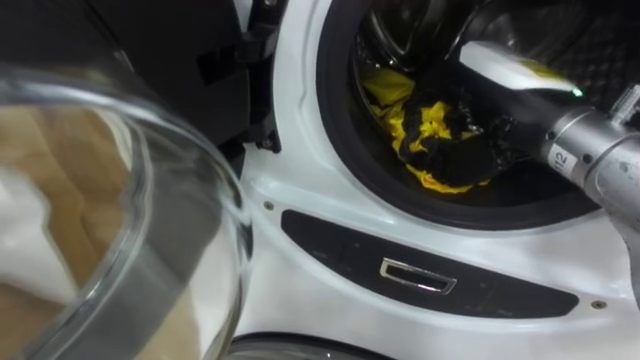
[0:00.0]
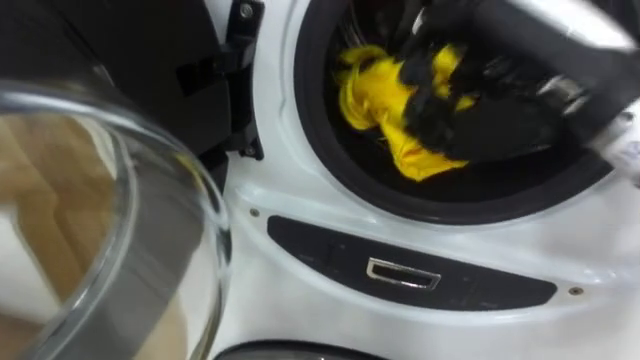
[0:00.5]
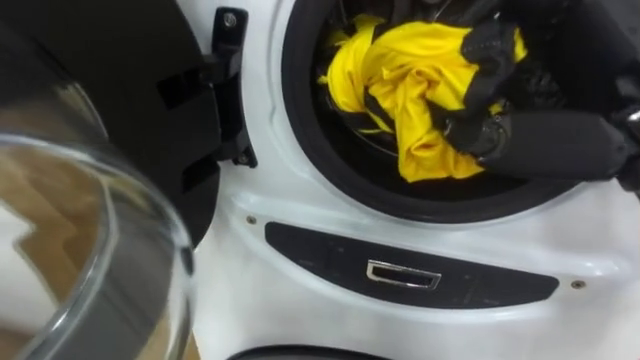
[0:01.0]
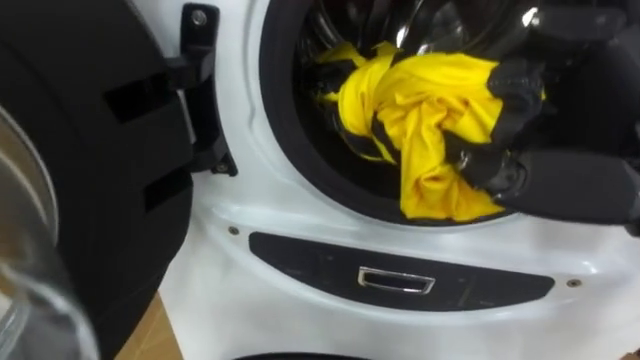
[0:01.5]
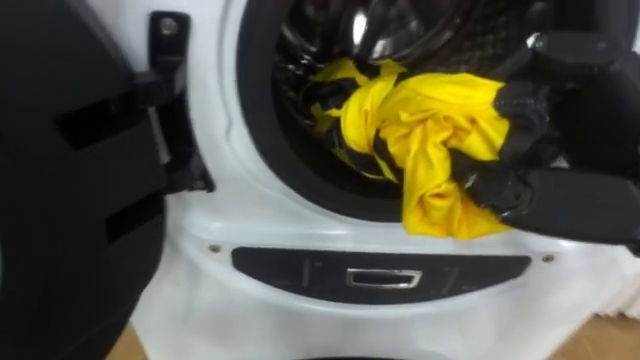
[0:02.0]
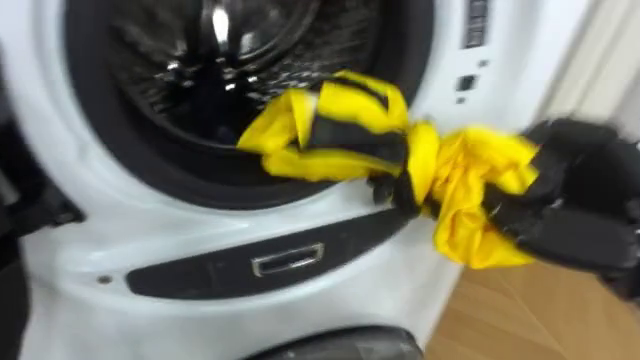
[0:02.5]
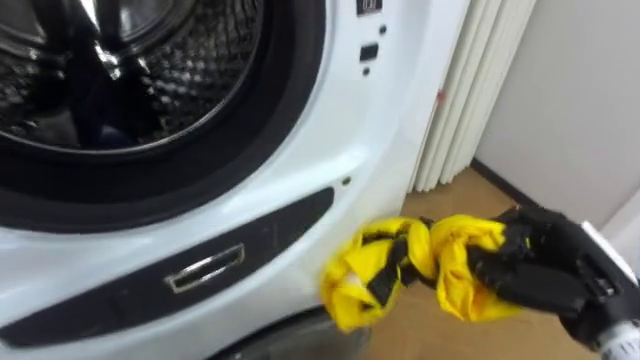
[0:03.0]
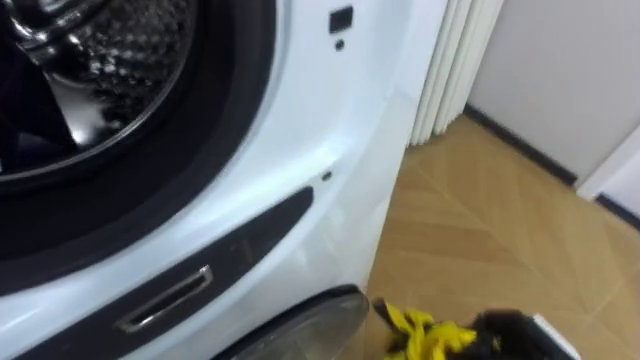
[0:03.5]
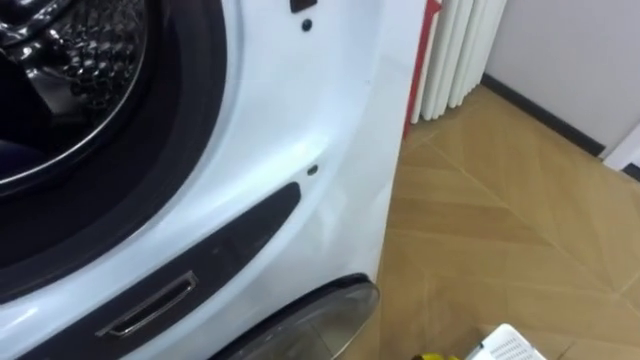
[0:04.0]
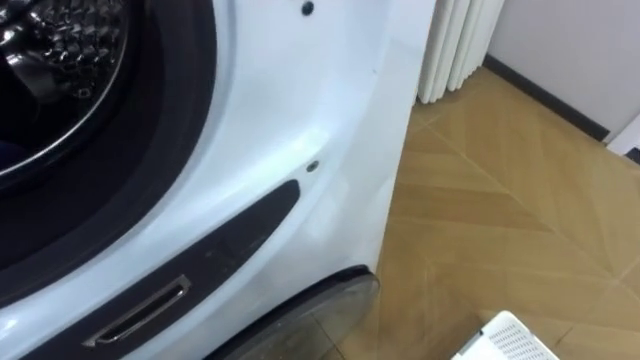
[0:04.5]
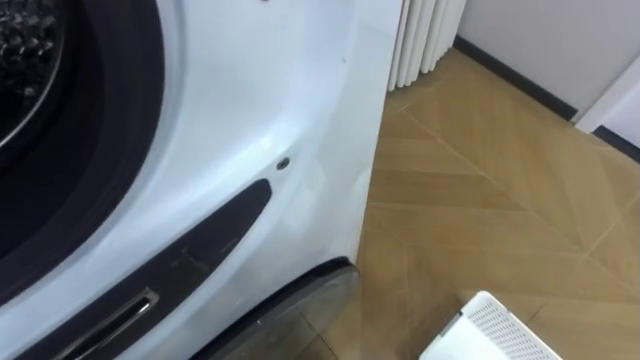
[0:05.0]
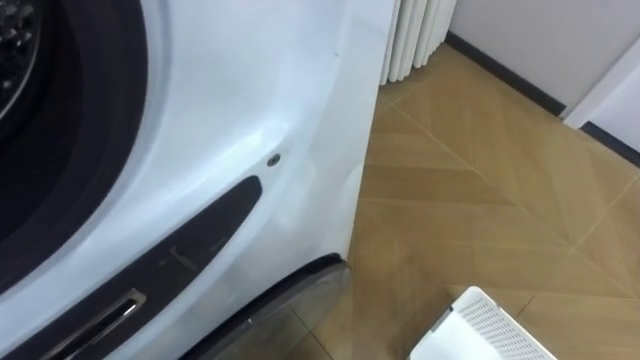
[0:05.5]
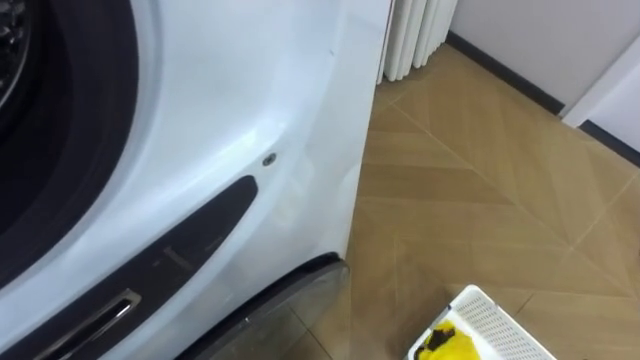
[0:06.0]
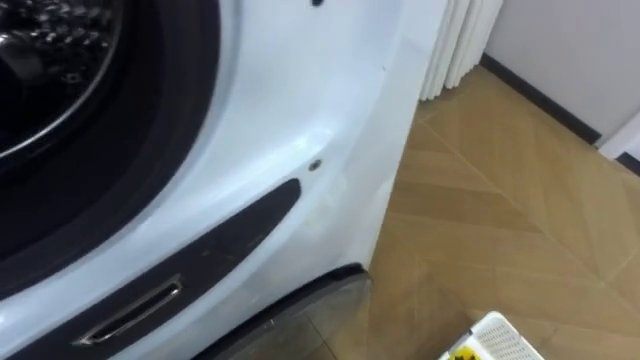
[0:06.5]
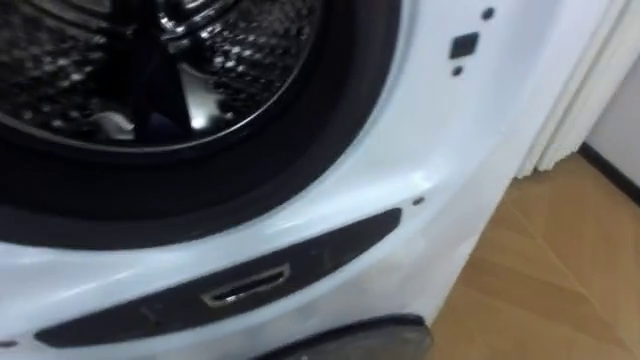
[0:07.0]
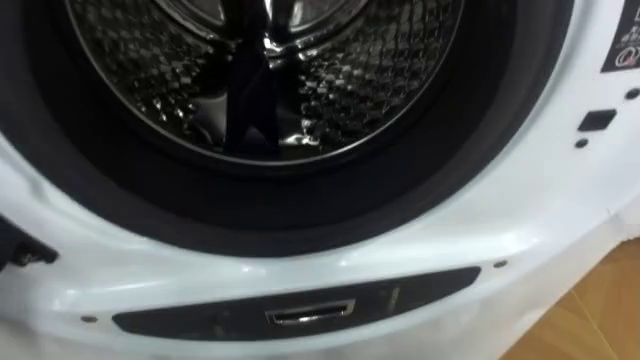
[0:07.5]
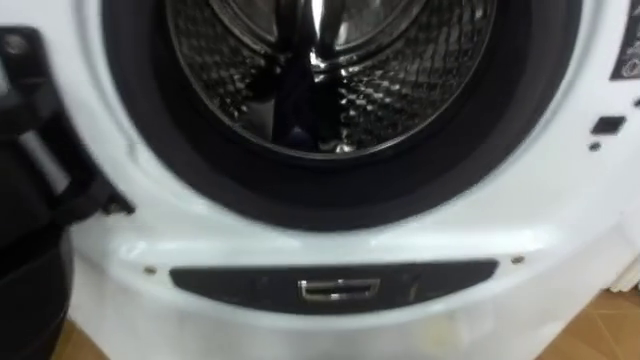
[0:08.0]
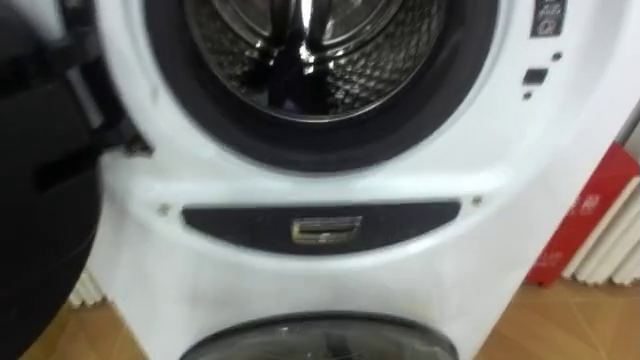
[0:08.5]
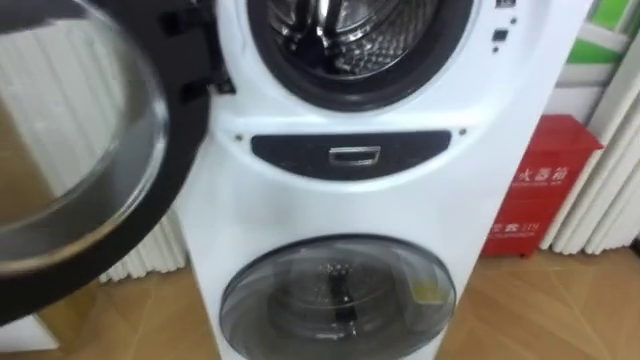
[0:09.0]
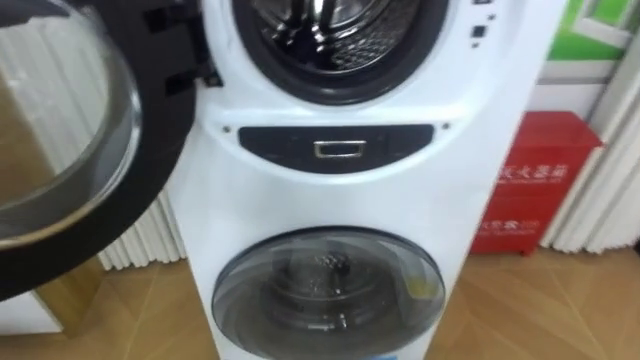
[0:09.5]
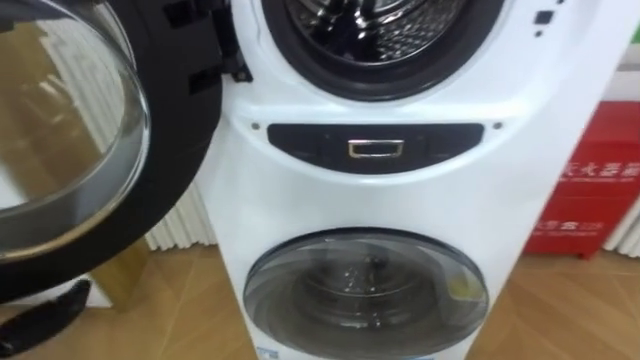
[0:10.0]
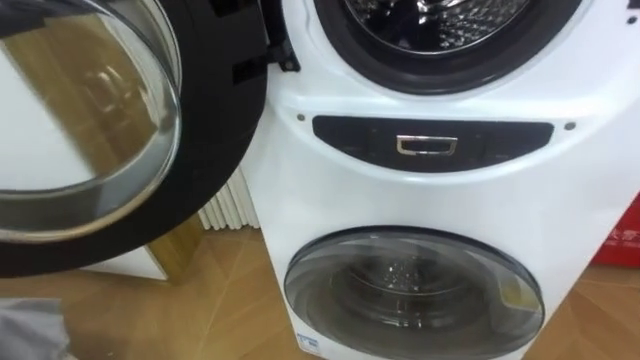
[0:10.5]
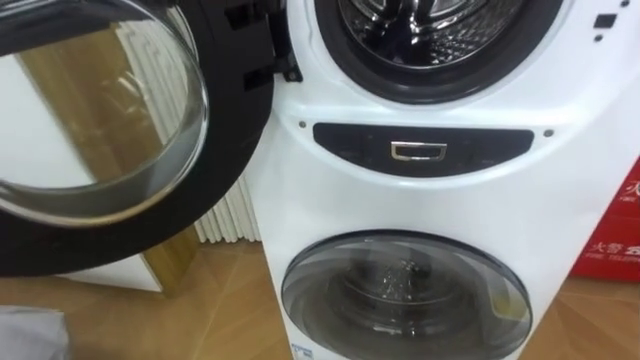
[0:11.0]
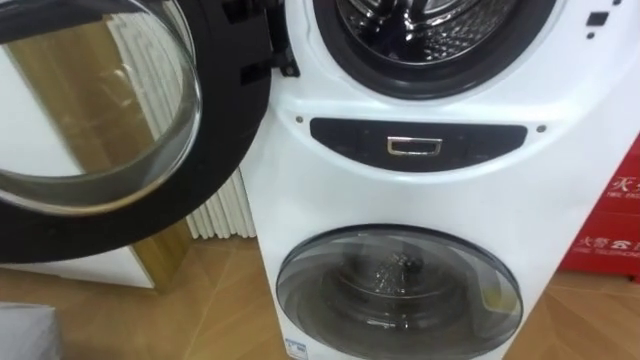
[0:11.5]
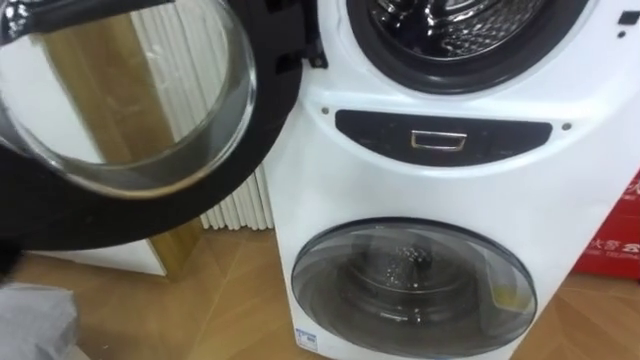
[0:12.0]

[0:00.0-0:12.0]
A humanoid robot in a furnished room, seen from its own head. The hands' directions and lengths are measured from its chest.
Task of the whole recording: Open the washing machine door, take out the yellow clothes, place them in the box on the right, and close the washing machine door.
0:00.0 to 0:02.0: The right hand goes roughly 10 cm backward.
0:02.0 to 0:04.0: The robot faces roughly 25 degrees further to its right.

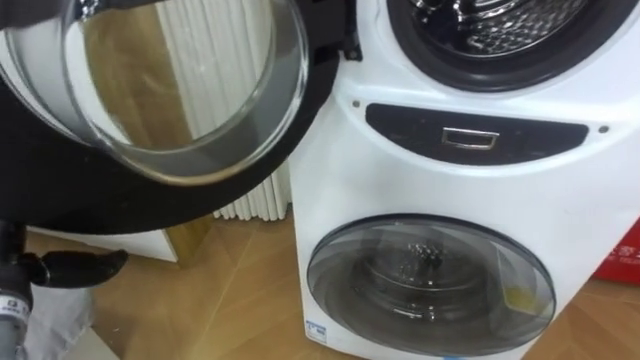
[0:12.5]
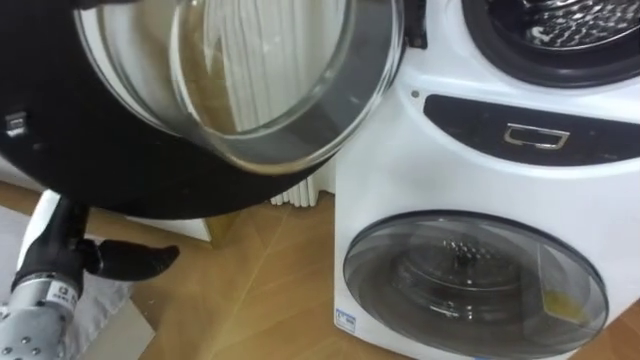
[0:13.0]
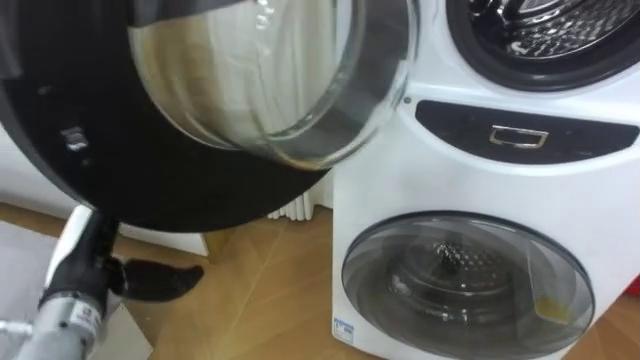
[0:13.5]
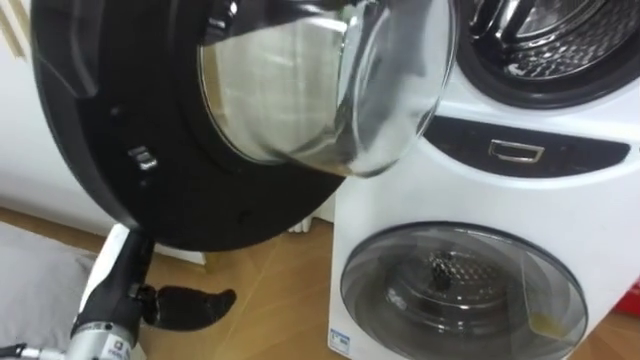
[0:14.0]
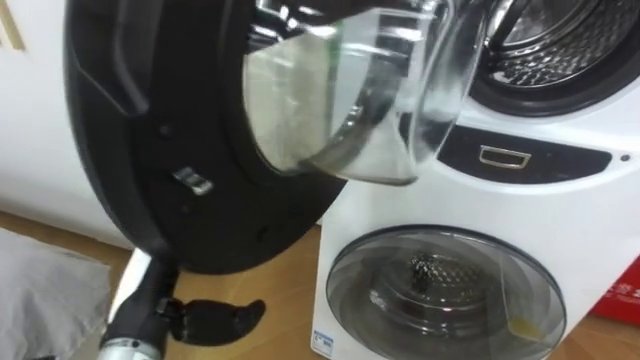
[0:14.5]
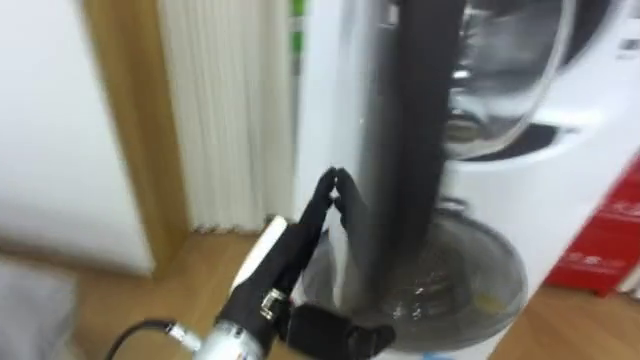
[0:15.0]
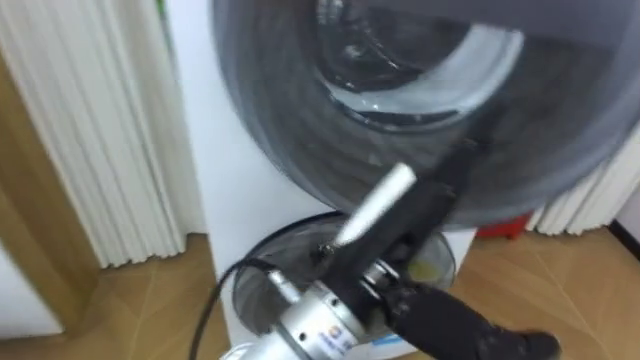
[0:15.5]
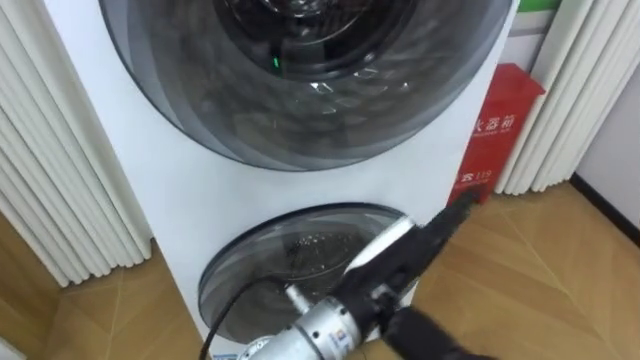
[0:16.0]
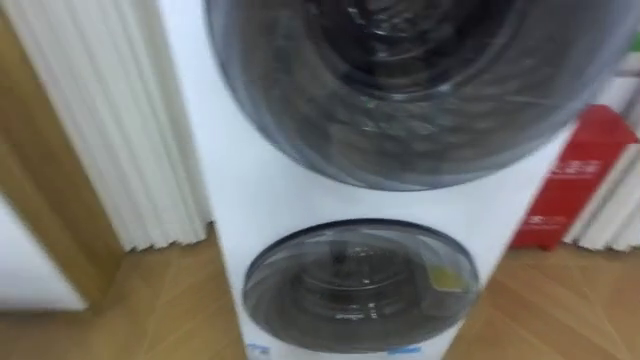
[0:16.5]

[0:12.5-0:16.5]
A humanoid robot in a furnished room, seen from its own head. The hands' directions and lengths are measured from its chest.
Task of the whole recording: Open the washing machine door, take out the yellow clothes, place them in the box on the right, and close the washing machine door.
0:12.5 to 0:14.5: The left hand travels to the right by roughly 15 cm.

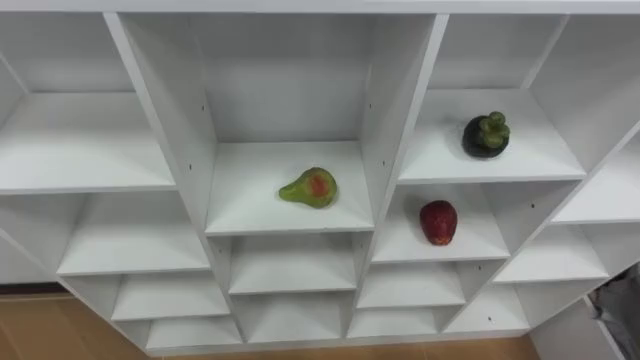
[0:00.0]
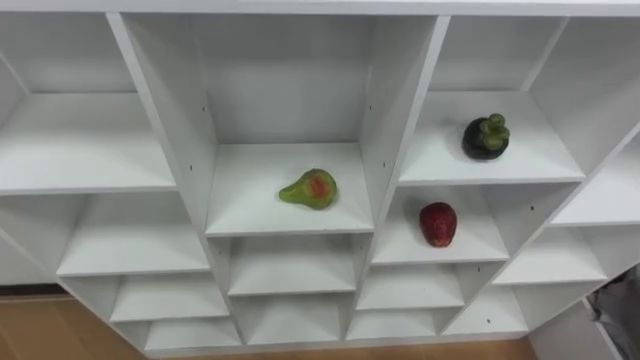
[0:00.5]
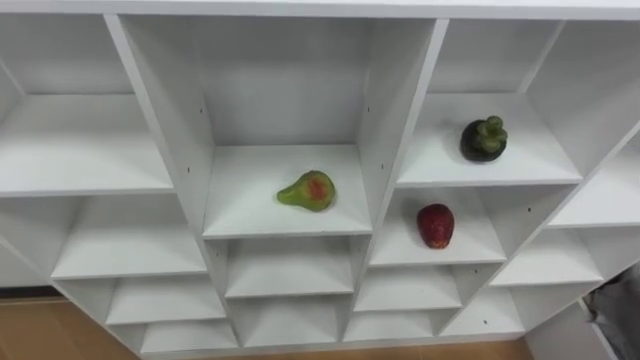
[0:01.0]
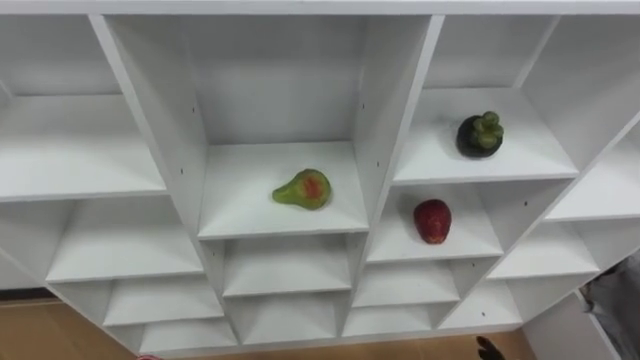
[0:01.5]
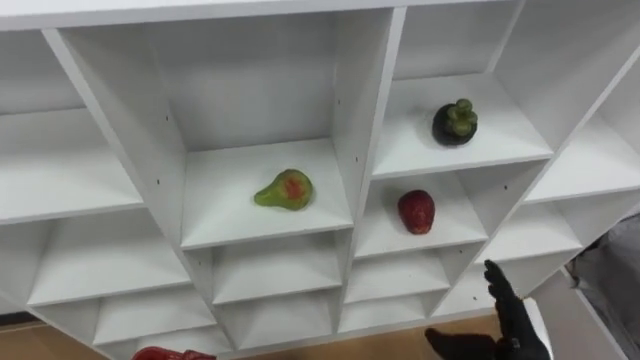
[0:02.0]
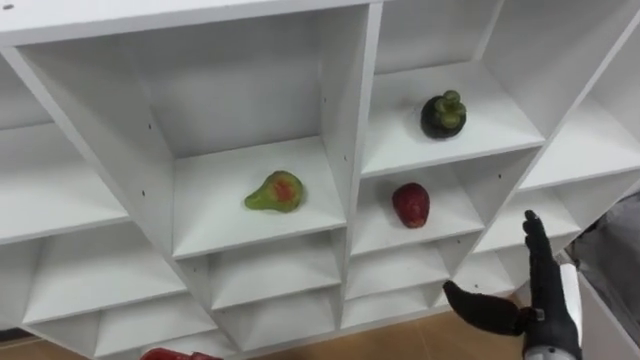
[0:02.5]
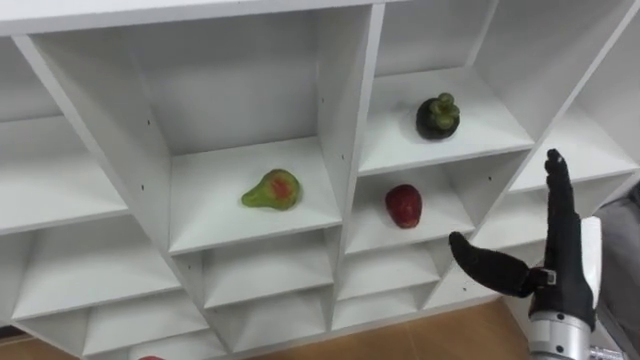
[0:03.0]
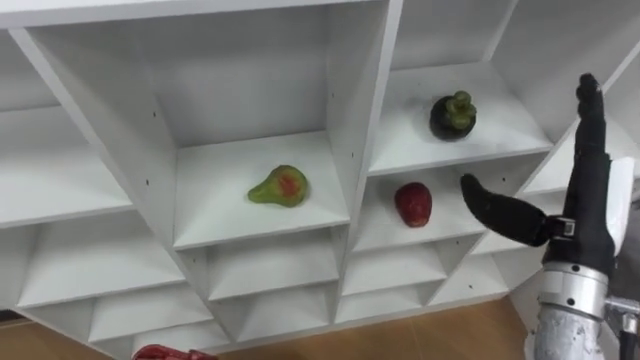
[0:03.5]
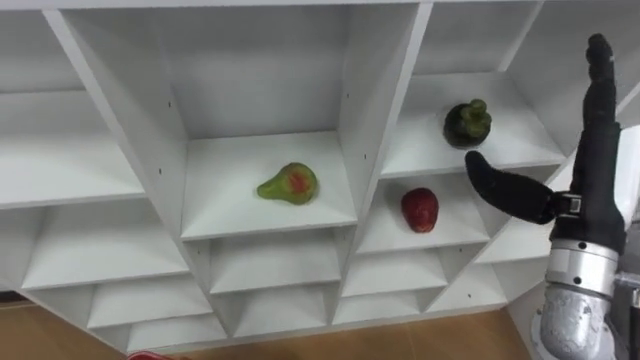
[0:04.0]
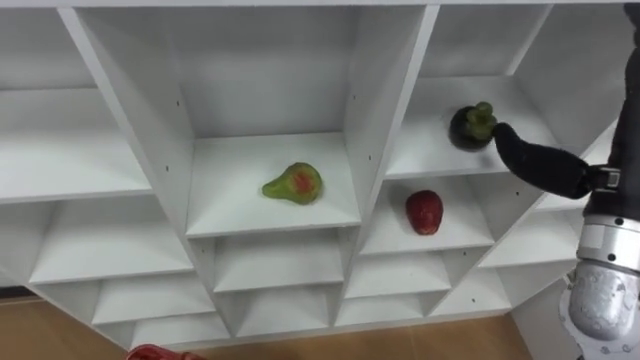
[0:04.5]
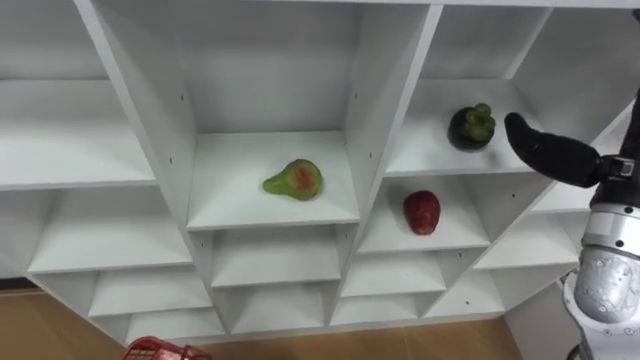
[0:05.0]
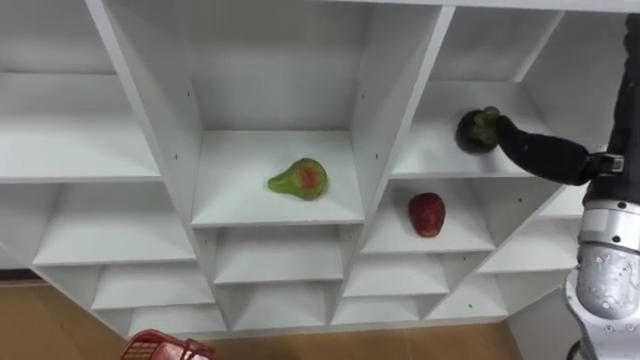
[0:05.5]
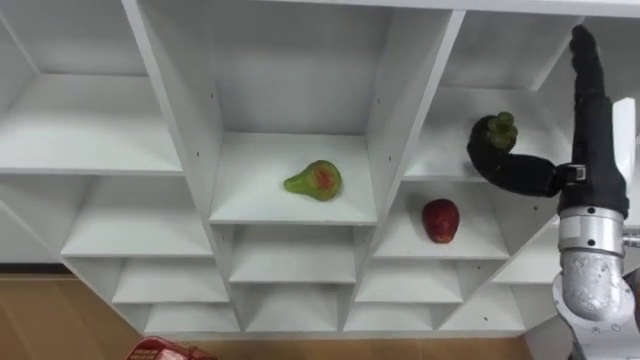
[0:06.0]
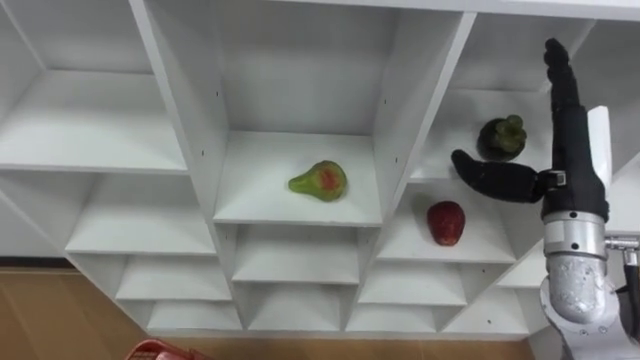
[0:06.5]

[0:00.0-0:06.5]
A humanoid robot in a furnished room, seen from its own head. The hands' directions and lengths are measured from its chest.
Task of the whole recording: Hold the basket and collect the fruits from 3 different cells of the closet into it.
0:02.0 to 0:04.5: The right hand is displaced upward by about 25 cm.
0:04.5 to 0:06.5: The right hand changes place by approximately 5 cm.
